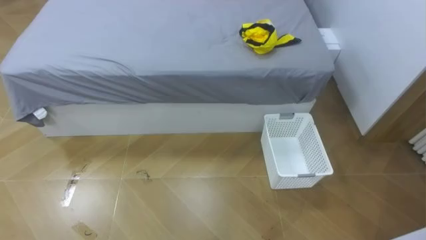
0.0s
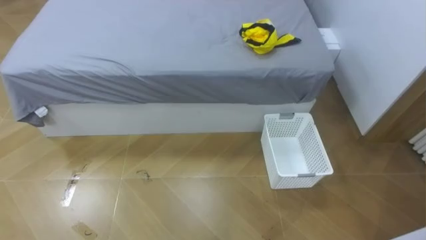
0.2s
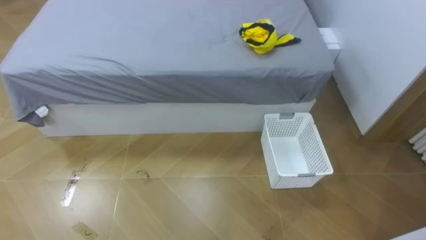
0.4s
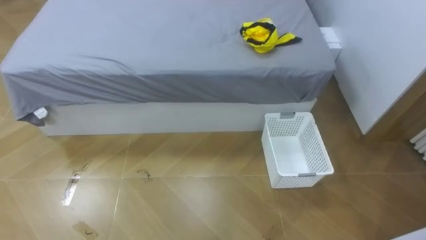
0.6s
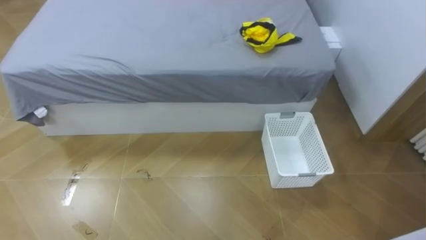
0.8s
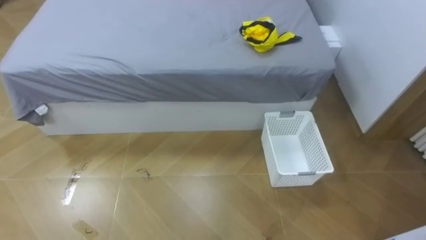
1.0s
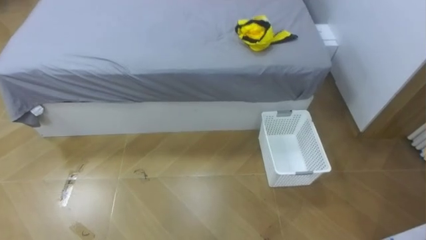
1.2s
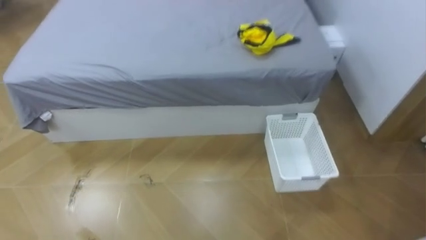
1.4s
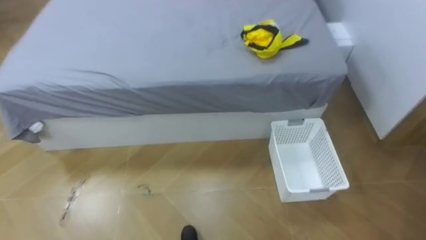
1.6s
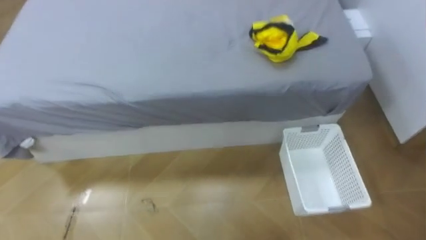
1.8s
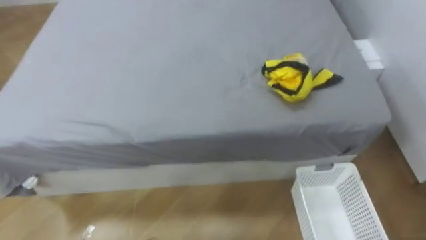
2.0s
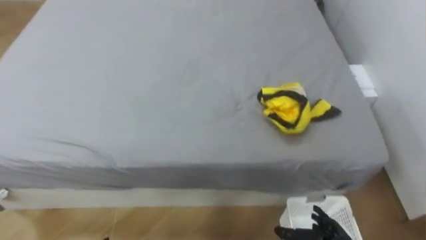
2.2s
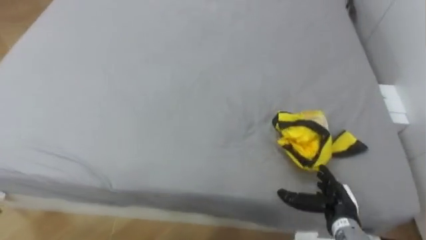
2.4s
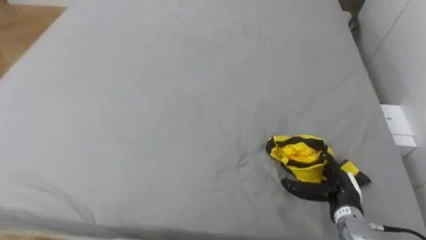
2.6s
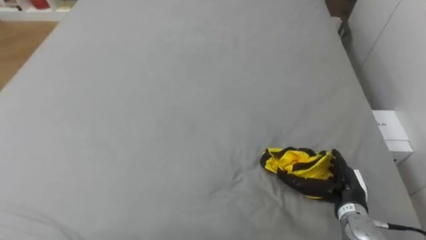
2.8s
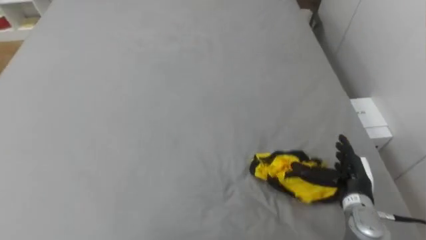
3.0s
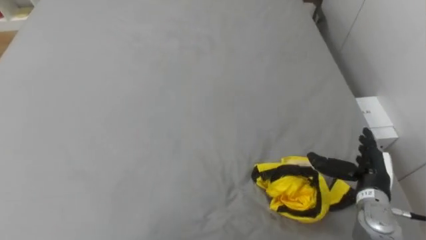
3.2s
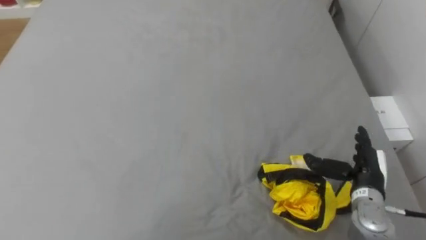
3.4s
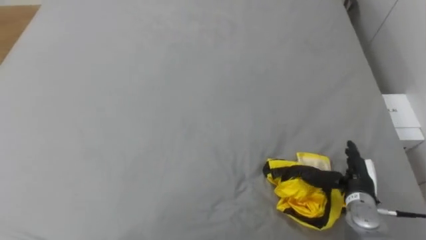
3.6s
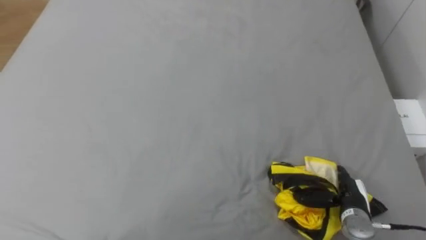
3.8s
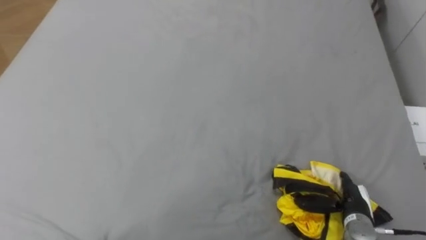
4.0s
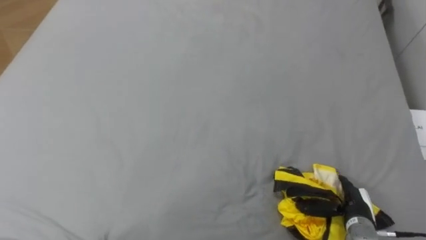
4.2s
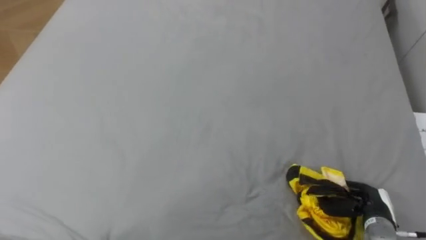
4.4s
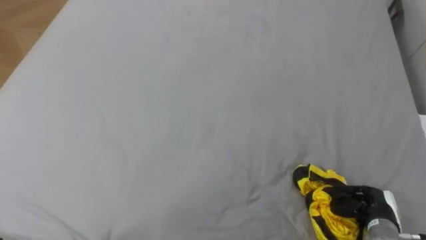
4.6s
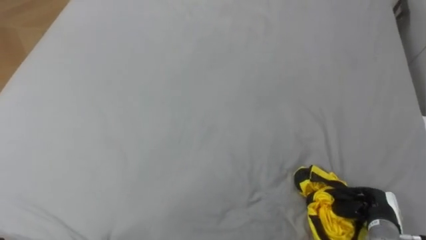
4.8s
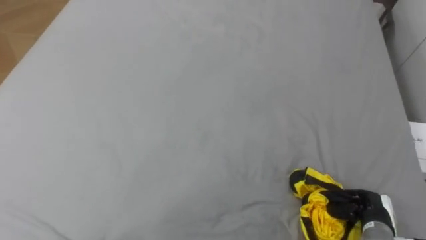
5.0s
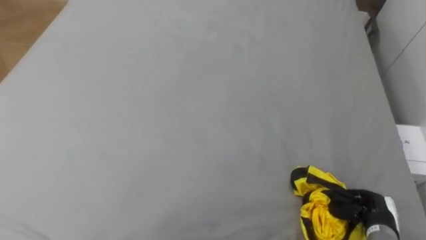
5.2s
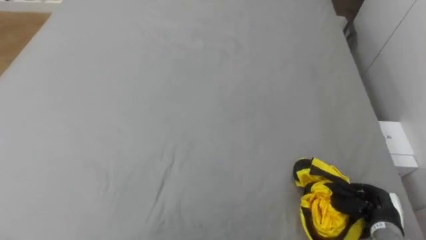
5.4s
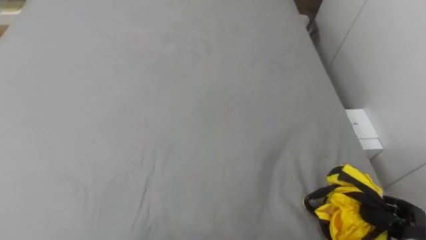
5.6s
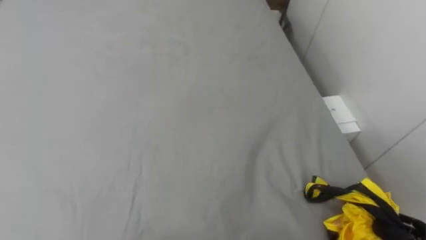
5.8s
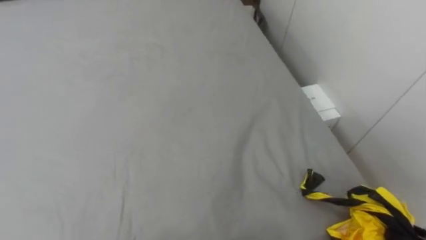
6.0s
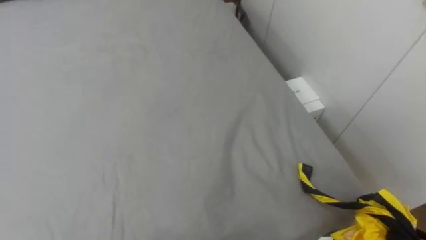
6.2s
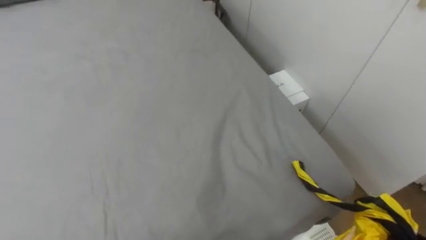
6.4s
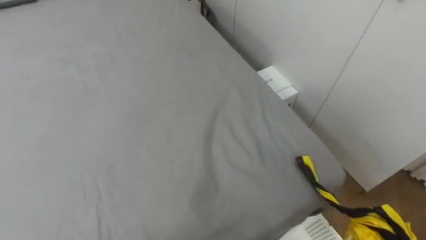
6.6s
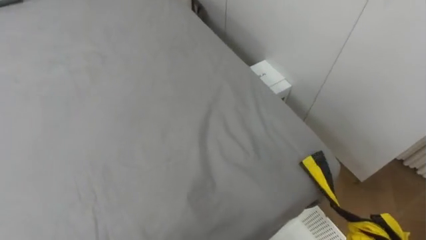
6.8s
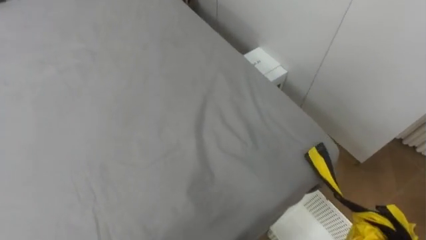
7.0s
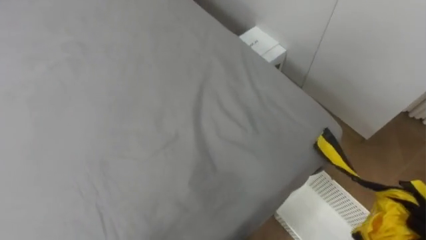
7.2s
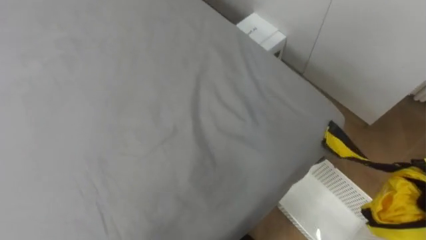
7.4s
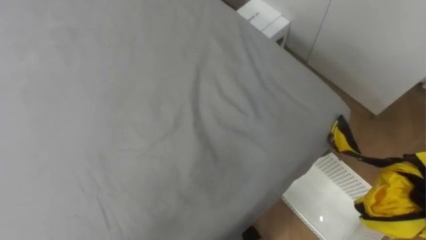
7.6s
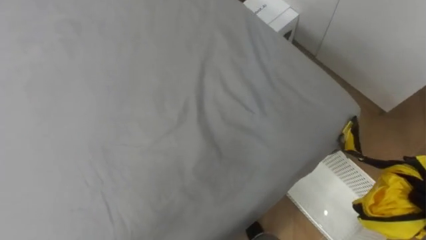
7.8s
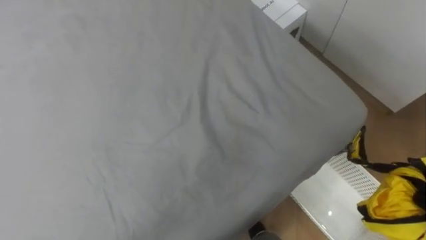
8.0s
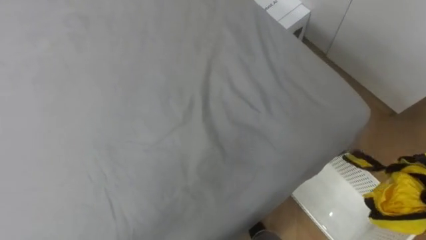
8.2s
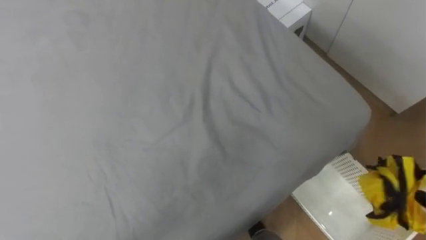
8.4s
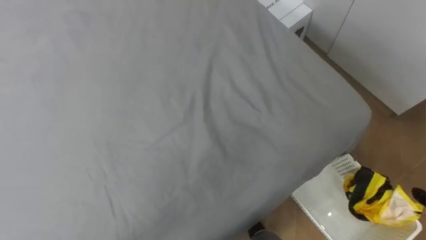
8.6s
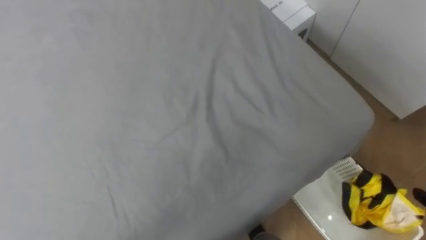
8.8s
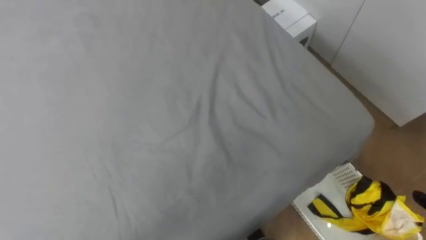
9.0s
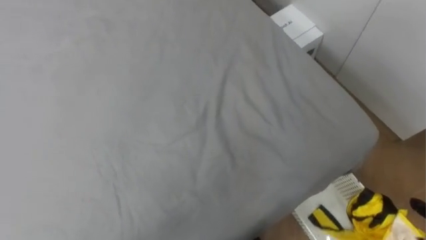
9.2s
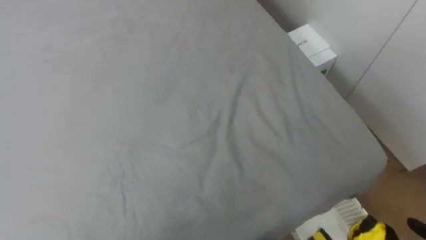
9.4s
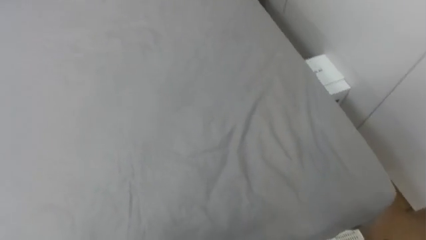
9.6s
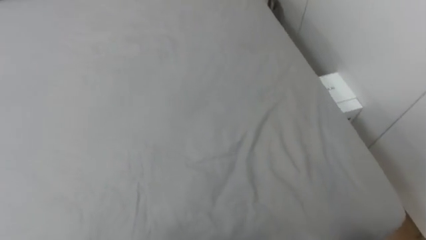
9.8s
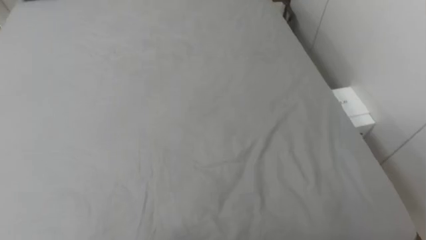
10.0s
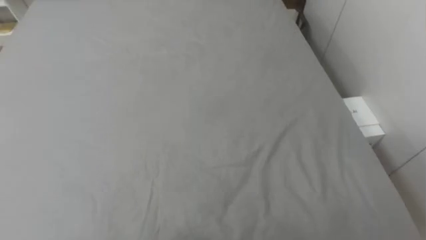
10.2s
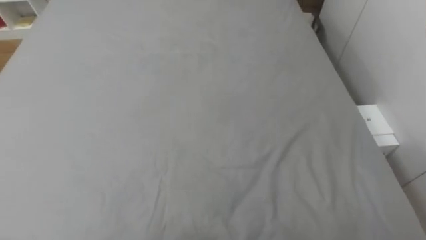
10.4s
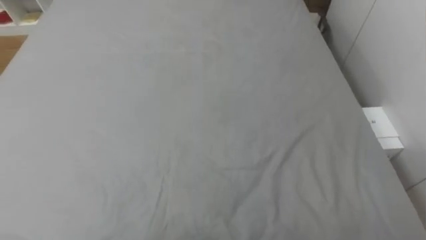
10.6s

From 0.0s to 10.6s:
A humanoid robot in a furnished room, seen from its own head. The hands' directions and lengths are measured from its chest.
Task of the whole recording: Pick up the yellow clothes on the bed and place them into the white basket on the right.
From 3.0s to 4.6s: The right hand is displaced downward, to the right and backward by approximately 10 cm, and closes its fingers.

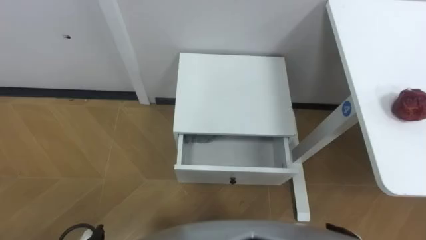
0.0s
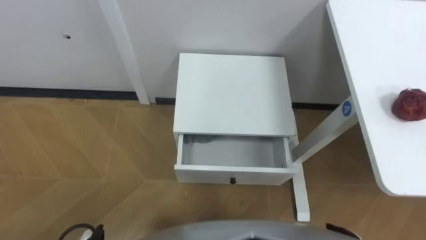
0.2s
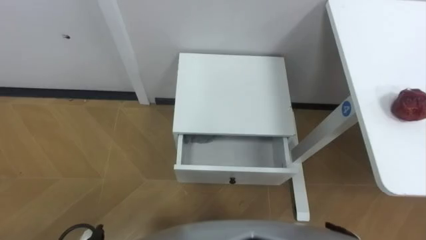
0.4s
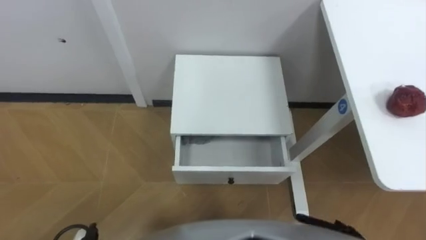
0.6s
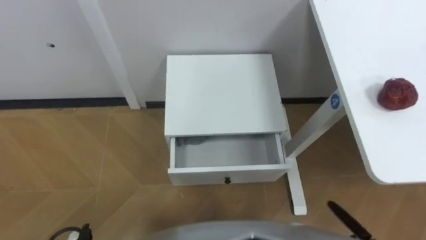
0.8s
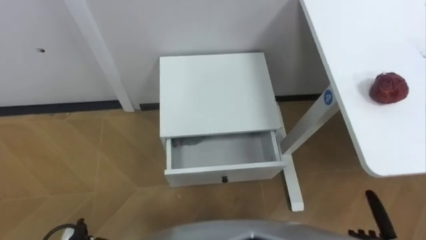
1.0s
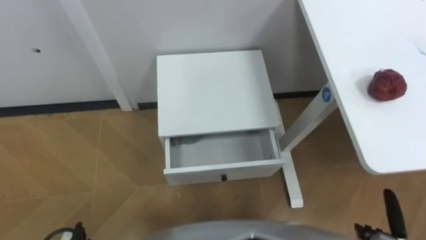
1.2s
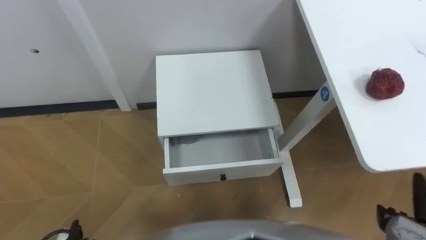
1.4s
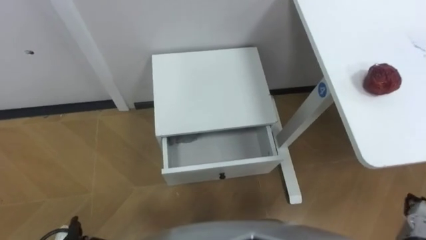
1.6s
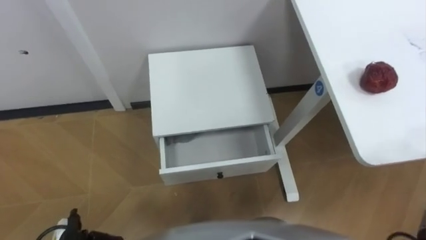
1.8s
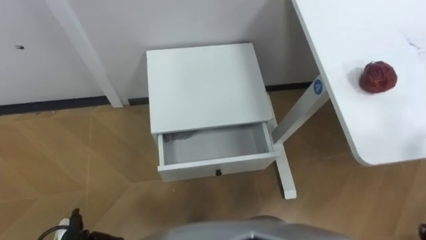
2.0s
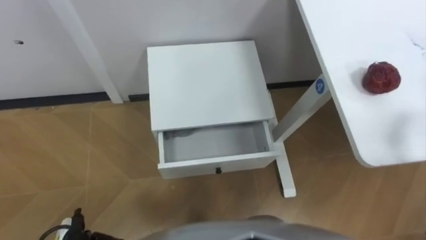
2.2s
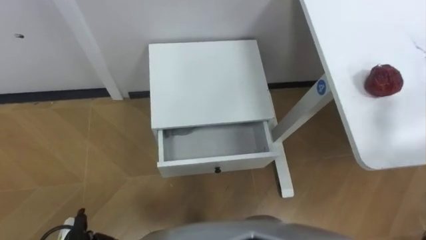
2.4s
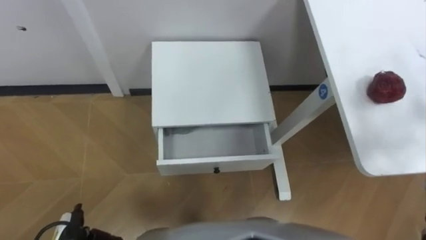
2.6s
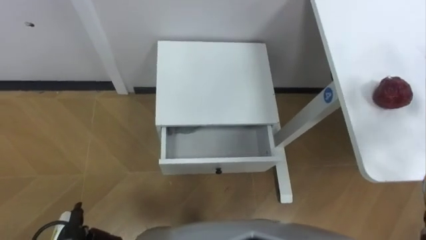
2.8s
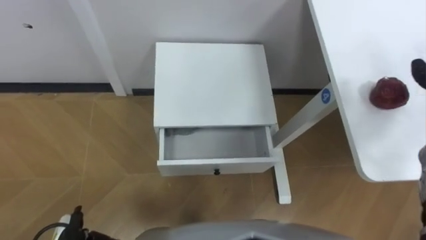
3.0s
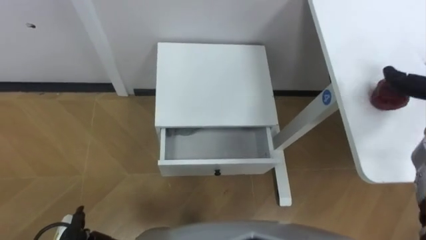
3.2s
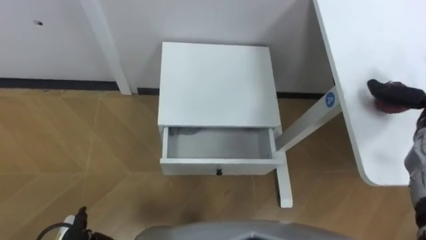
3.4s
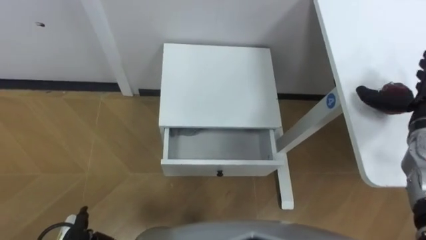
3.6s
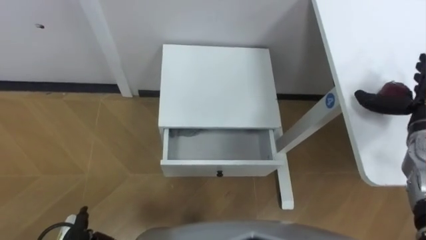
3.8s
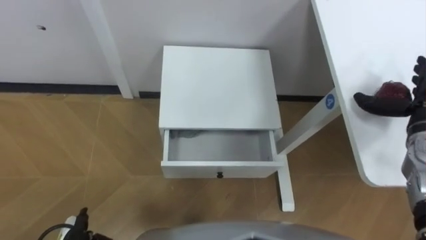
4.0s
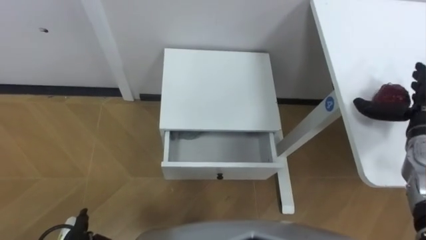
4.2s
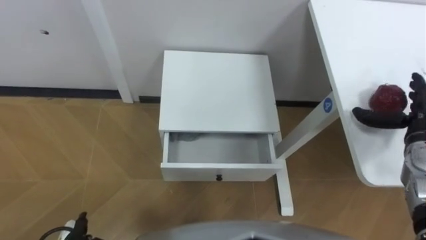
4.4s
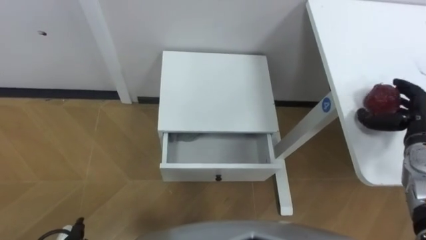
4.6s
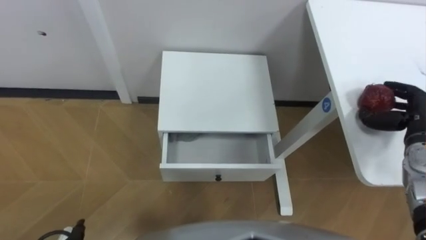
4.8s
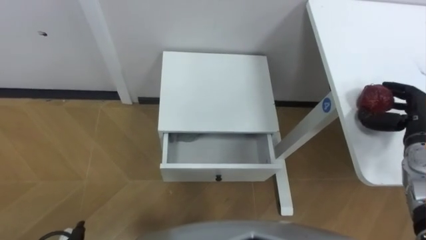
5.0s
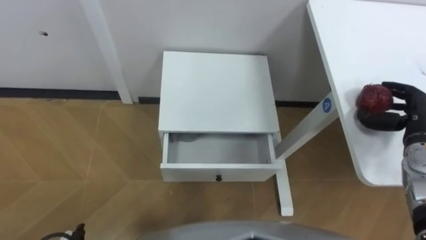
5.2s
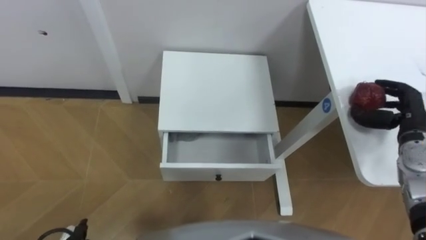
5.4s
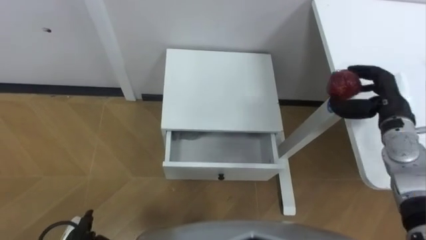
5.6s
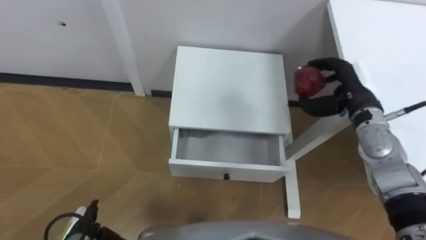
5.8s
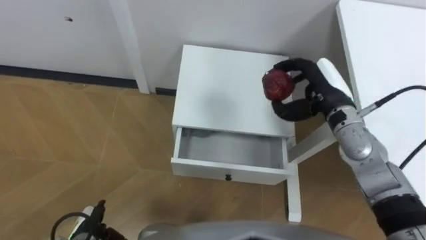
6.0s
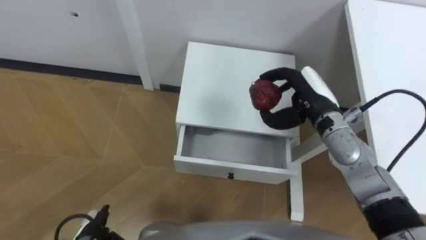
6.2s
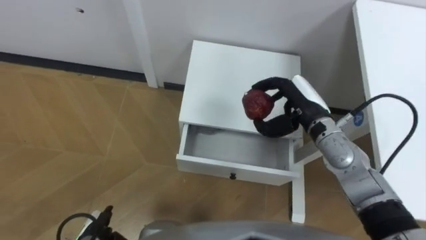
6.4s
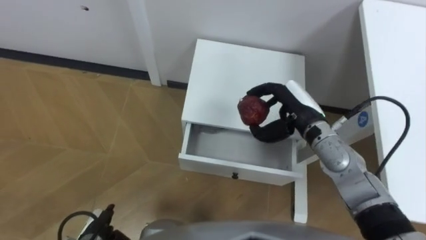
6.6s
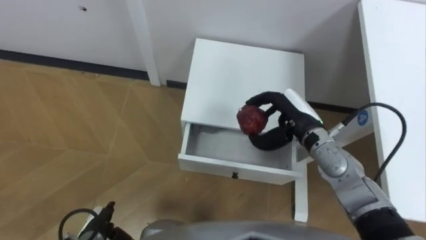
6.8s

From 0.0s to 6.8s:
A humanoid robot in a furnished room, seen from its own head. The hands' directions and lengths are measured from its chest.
Task of the whole recording: Pick up the apple from the table, put it in the drawer, and close the drawer with leg.
From 4.0s to 5.4s: The right hand closes.
From 5.4s to 6.8s: The right hand moves to the left, some 20 cm.
